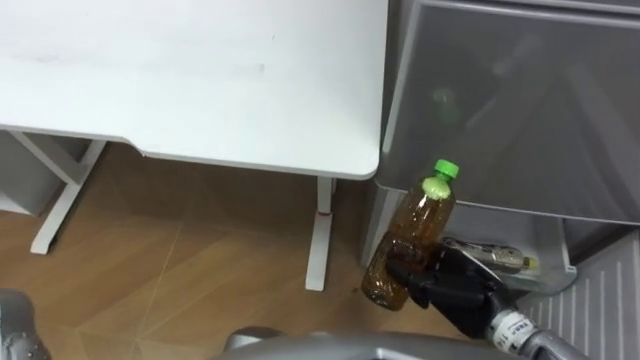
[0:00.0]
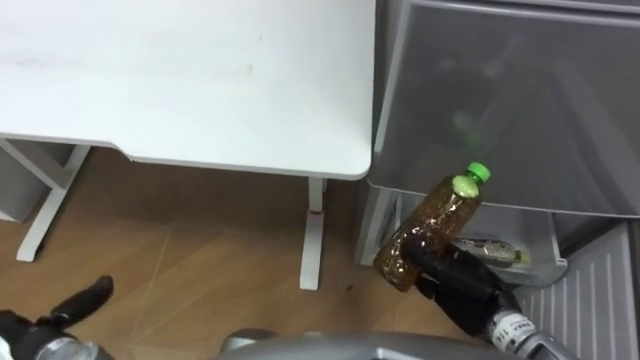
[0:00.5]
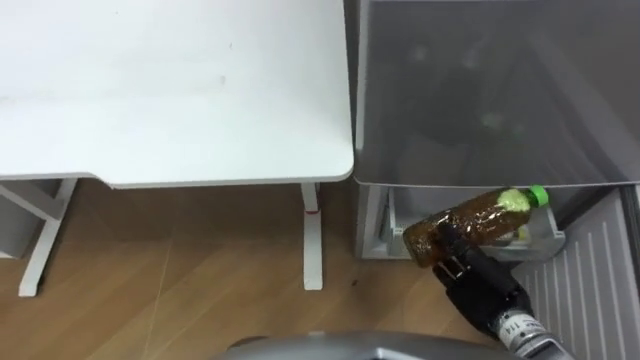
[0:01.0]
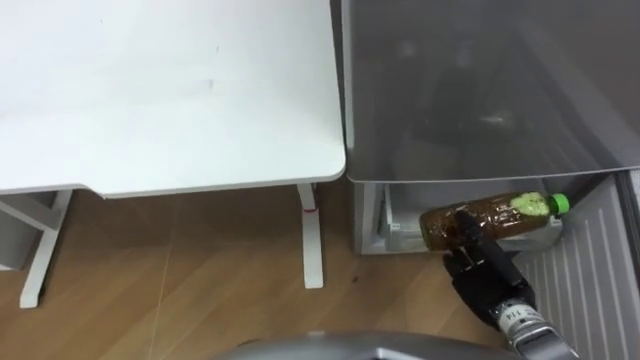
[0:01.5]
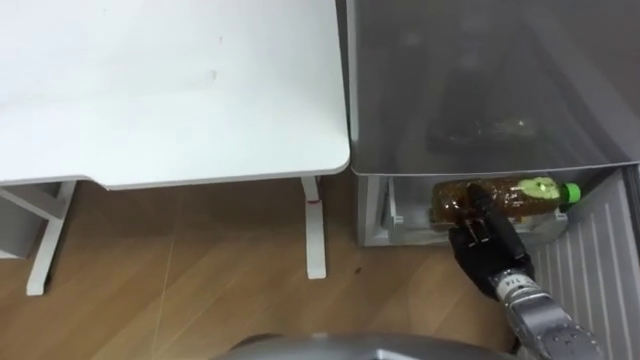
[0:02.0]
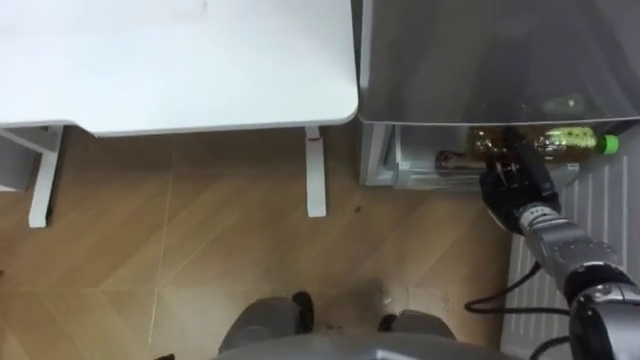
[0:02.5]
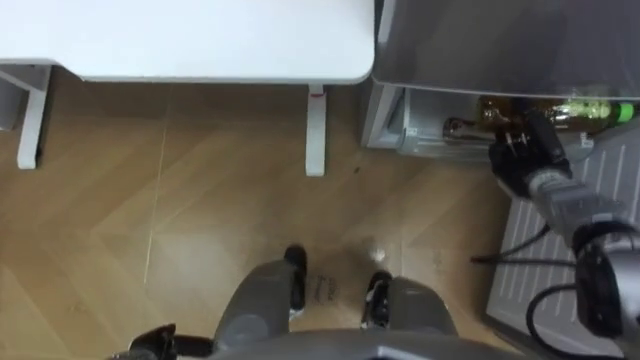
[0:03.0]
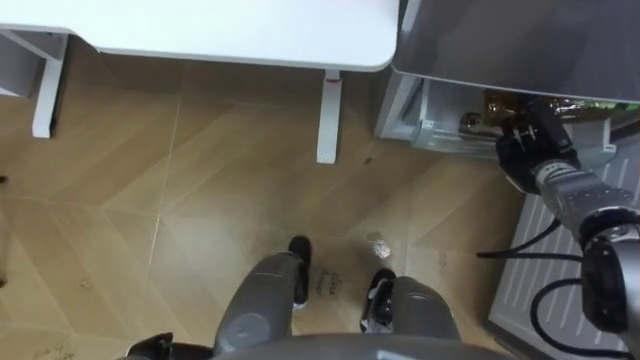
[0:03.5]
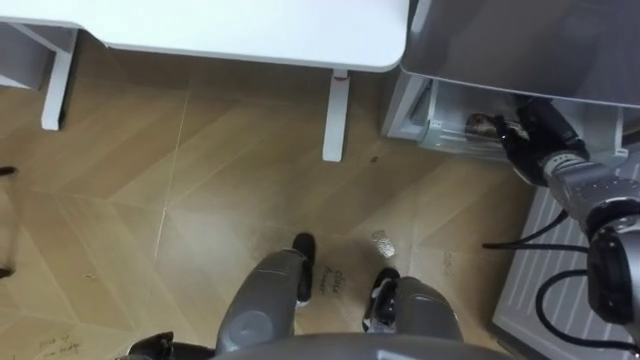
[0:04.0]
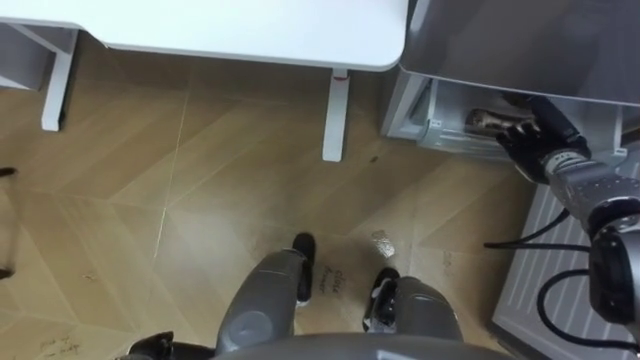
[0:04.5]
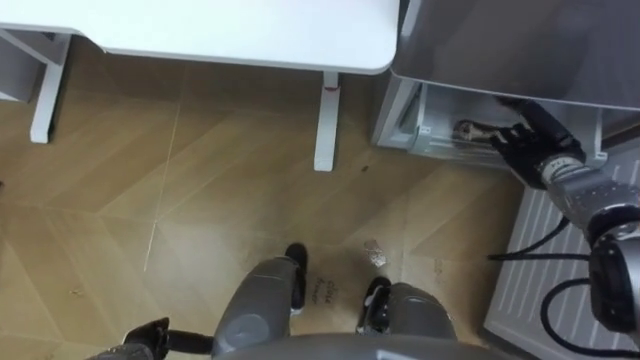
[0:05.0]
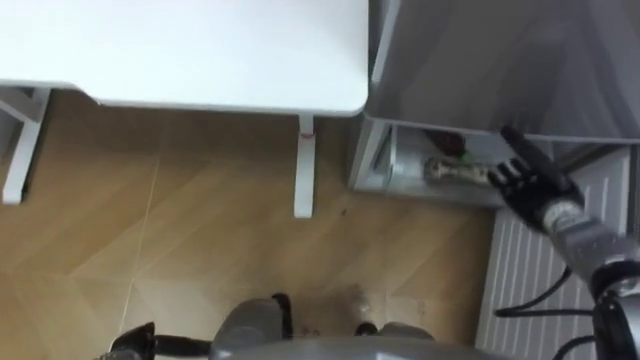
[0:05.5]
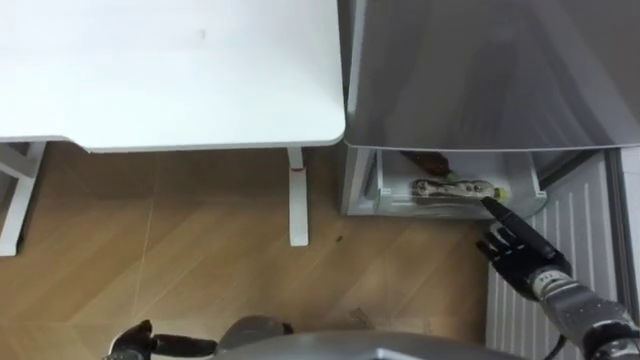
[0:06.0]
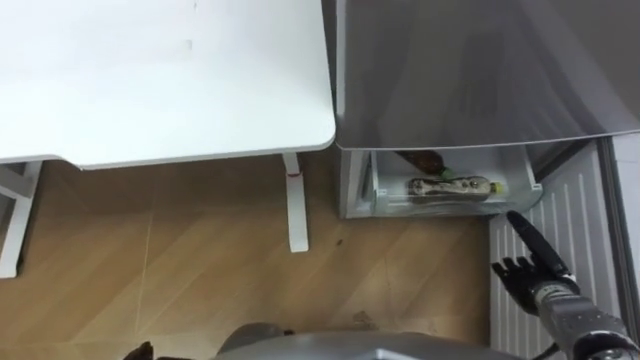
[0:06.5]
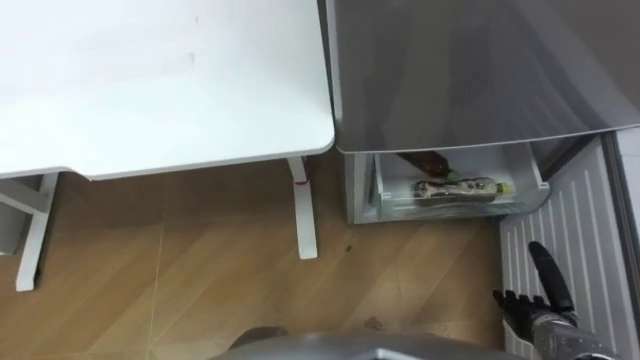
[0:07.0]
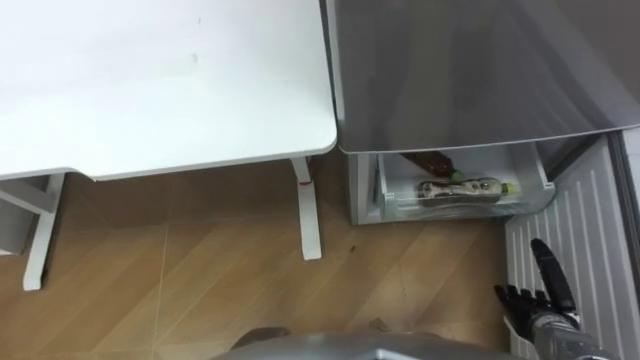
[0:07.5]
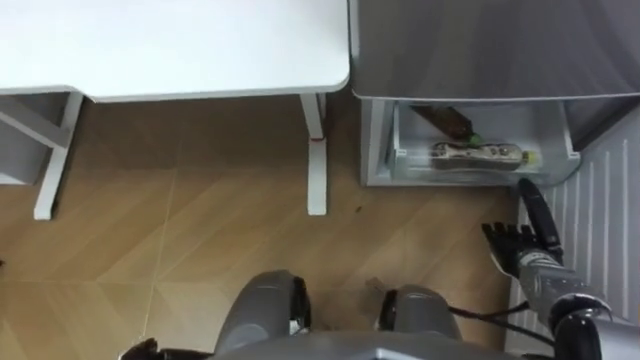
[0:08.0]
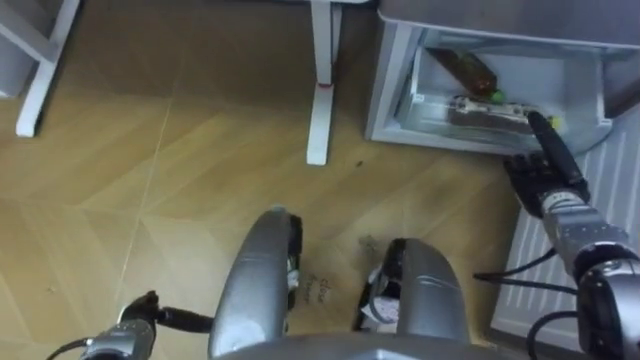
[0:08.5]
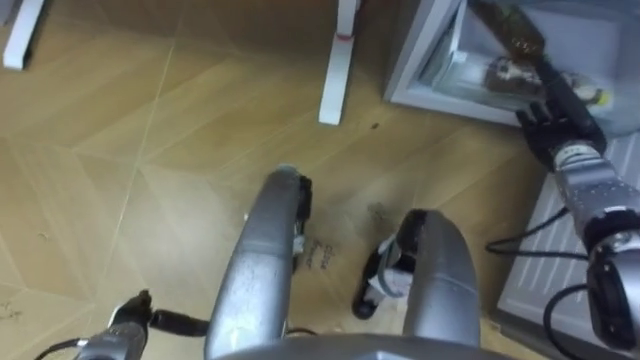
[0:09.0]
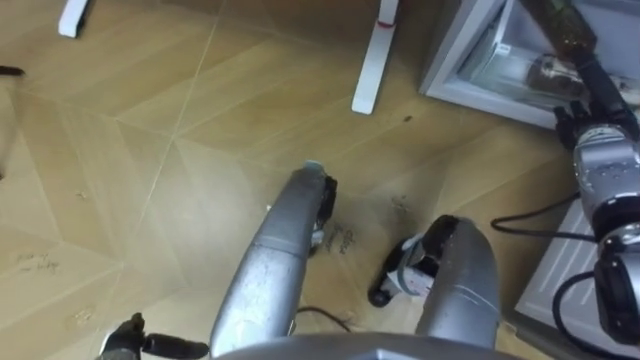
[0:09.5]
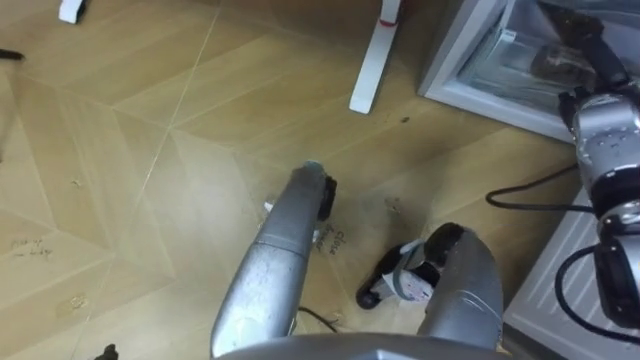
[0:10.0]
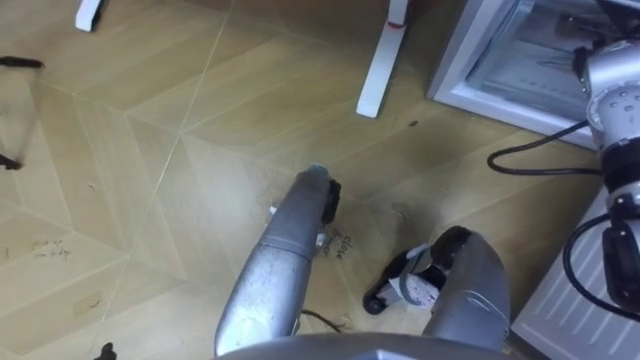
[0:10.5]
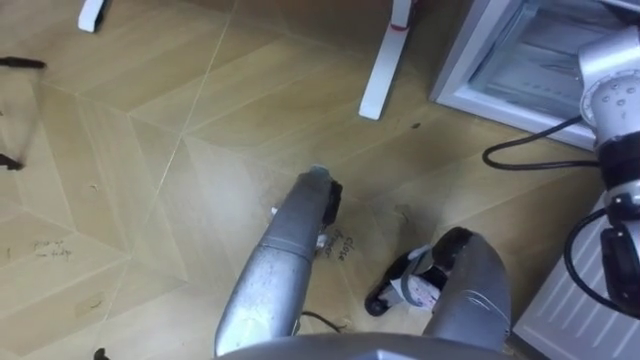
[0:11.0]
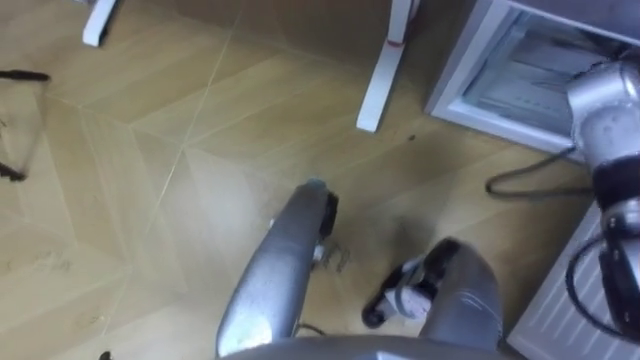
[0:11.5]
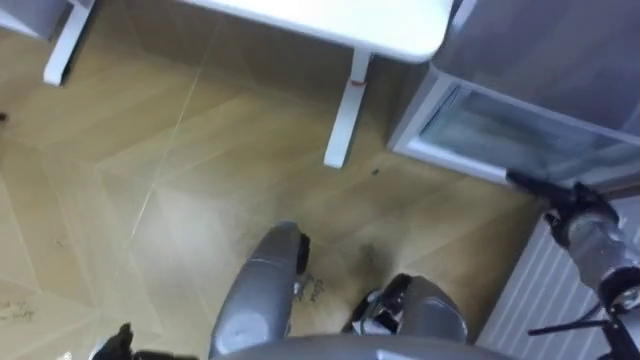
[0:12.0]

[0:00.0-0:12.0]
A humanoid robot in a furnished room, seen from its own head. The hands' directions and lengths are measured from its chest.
Task of the whole recording: Place the drink on the table on the bottom shelf of the refrigerator, then close the drawer and the refrigerator door.
0:00.0 to 0:02.0: The right hand travels to the right by roughly 5 cm.
0:02.0 to 0:04.0: The right hand shifts about 15 cm forward, to the right and upward, and opens its fingers.
0:04.0 to 0:06.0: The right hand heads backward and downward, covering approximately 15 cm.
0:06.0 to 0:08.0: The right hand goes backward and returns, approximately 10 cm each way.
0:08.0 to 0:10.0: The right hand moves forward and upward, about 25 cm.
0:10.0 to 0:12.0: The right hand shifts approximately 15 cm backward and downward.

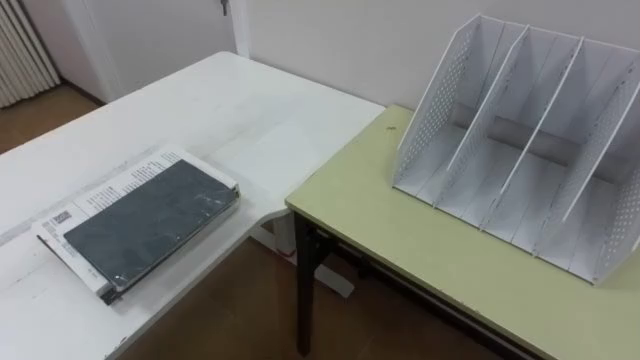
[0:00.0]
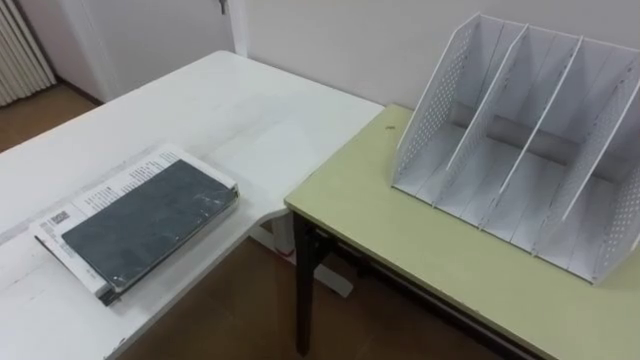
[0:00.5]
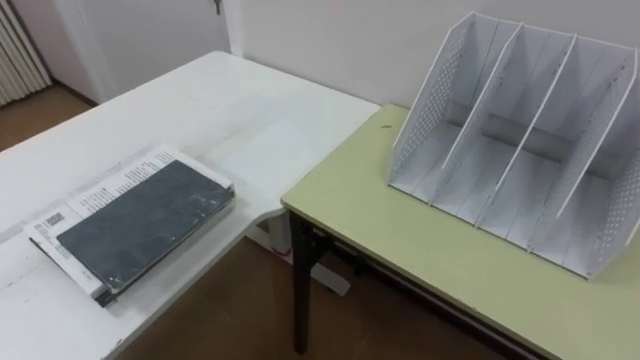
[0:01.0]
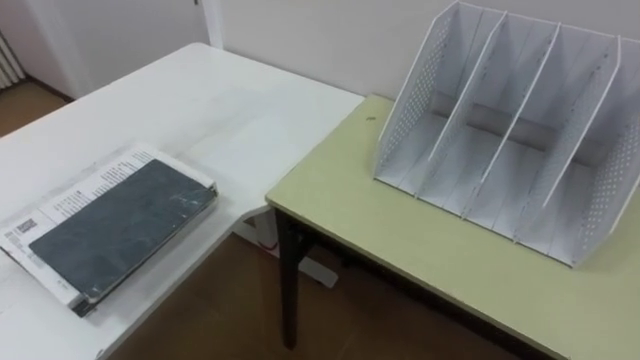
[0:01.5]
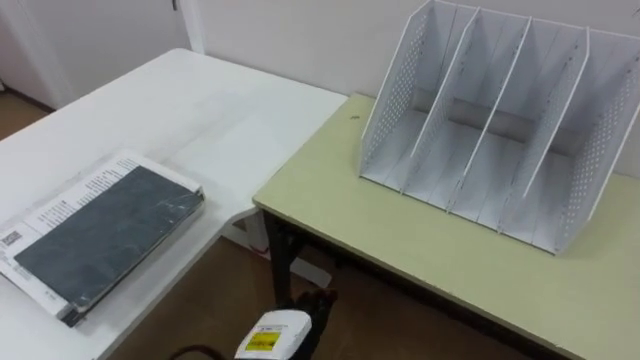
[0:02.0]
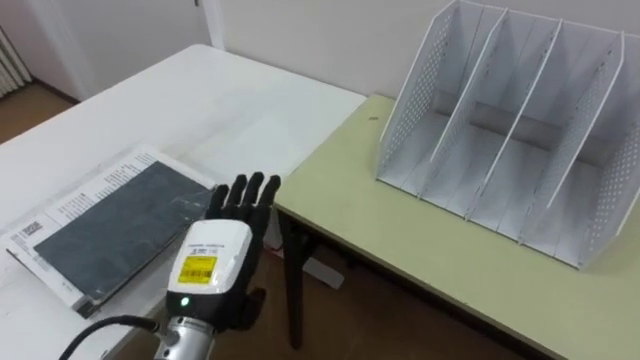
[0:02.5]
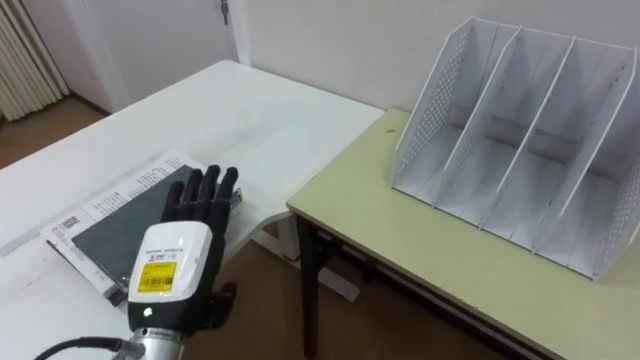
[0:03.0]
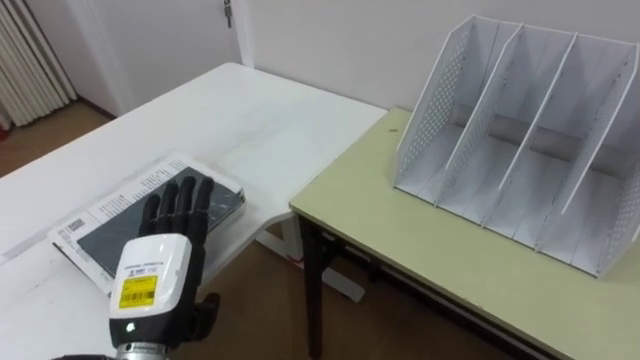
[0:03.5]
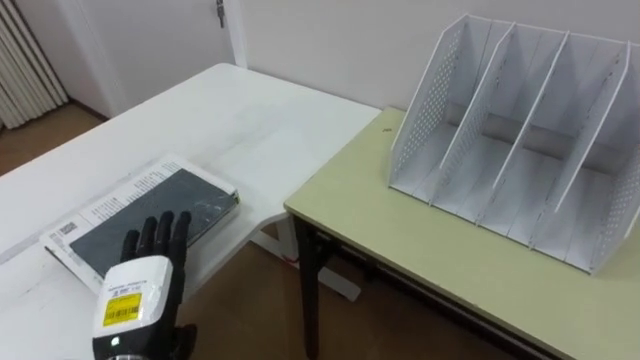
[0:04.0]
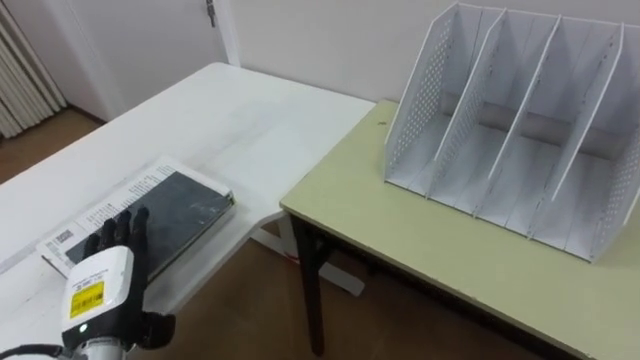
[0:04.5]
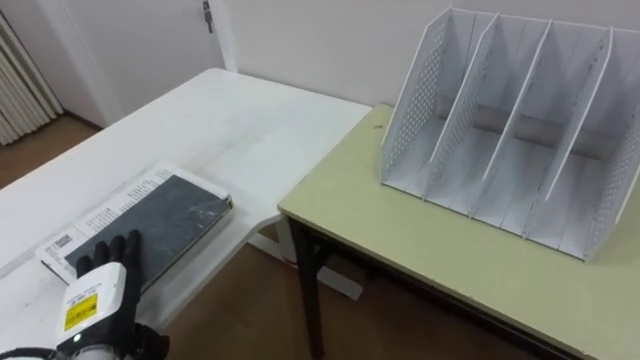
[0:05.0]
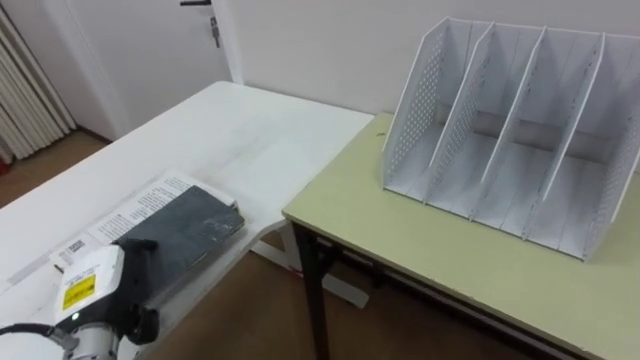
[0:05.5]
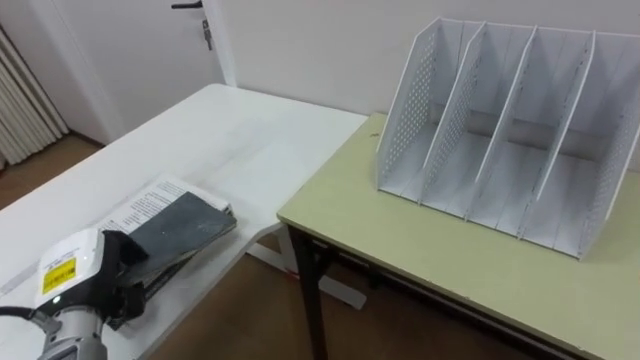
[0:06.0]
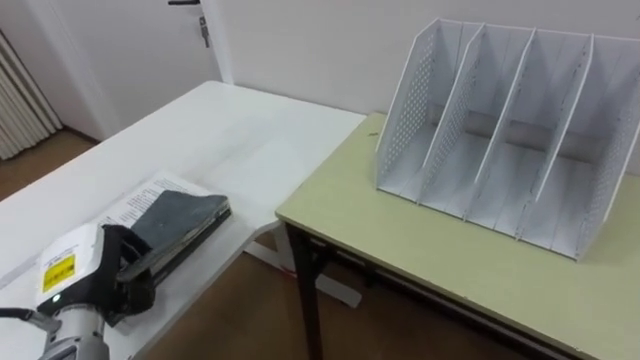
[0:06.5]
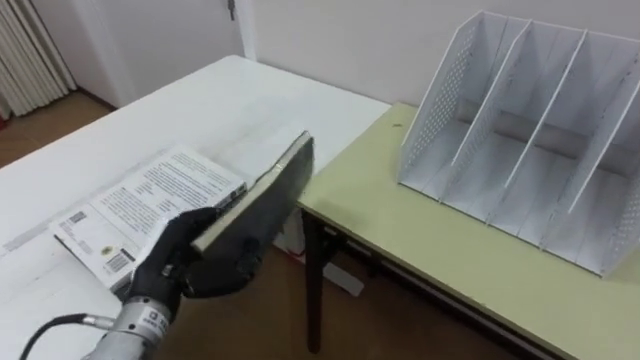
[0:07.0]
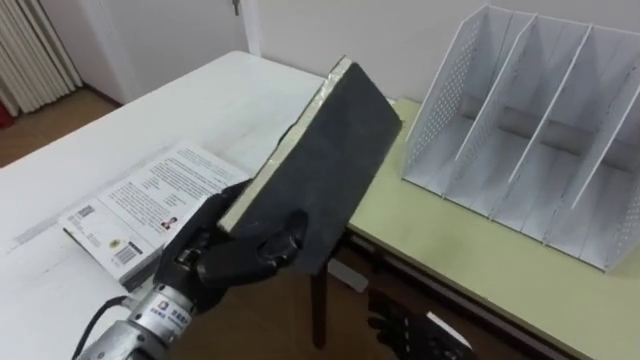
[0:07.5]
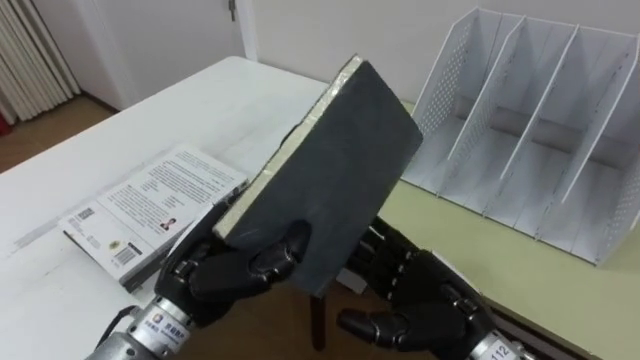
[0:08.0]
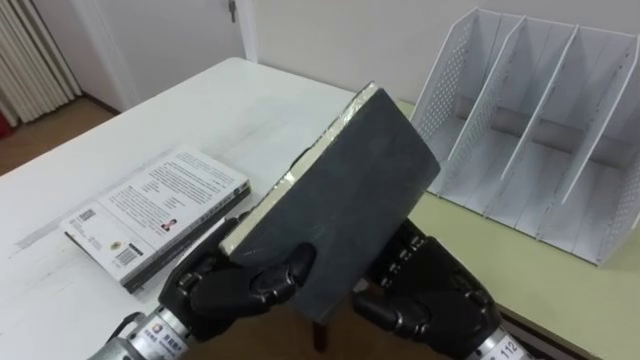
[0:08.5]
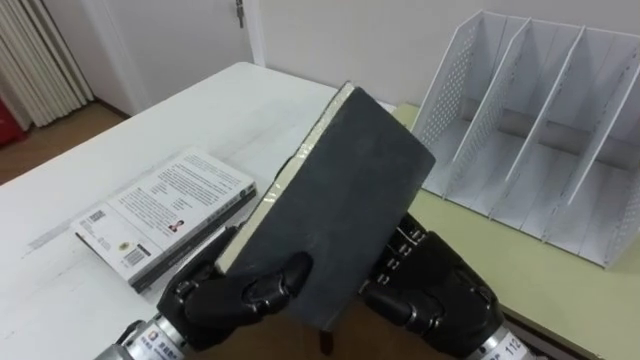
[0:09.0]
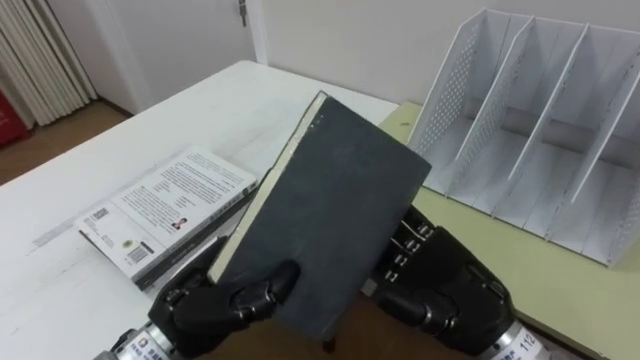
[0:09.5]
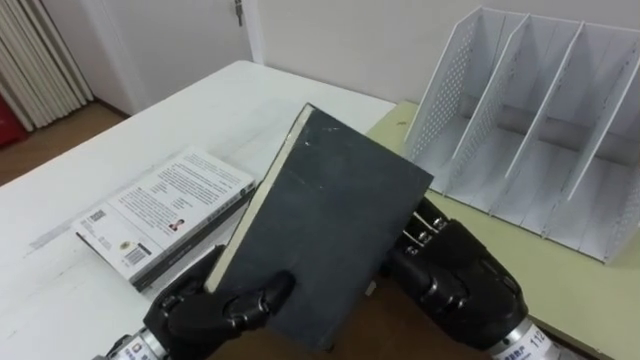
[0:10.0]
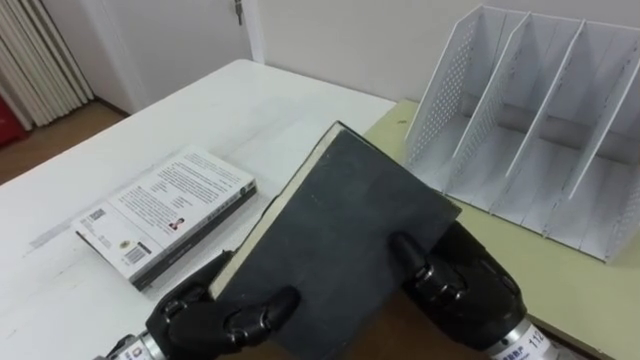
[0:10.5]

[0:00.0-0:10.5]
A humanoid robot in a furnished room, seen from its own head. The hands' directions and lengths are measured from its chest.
Task of the whole recording: Put the books on the table onto the bookshelf.
0:02.0 to 0:04.0: The left hand shifts roughly 15 cm to the left and upward.
0:04.0 to 0:06.5: The left hand moves to the left, roughly 5 cm, and closes up.
0:06.5 to 0:08.5: The left hand goes approximately 15 cm to the right.
0:08.5 to 0:10.5: The right hand closes up.
